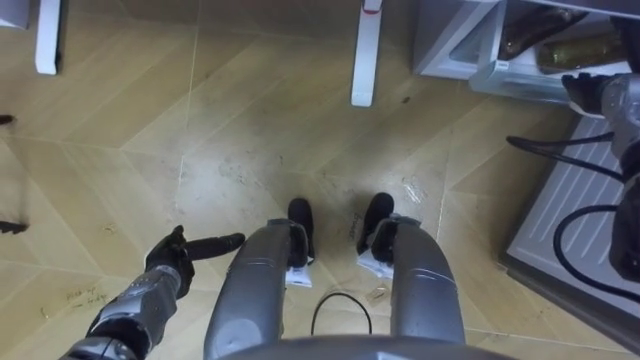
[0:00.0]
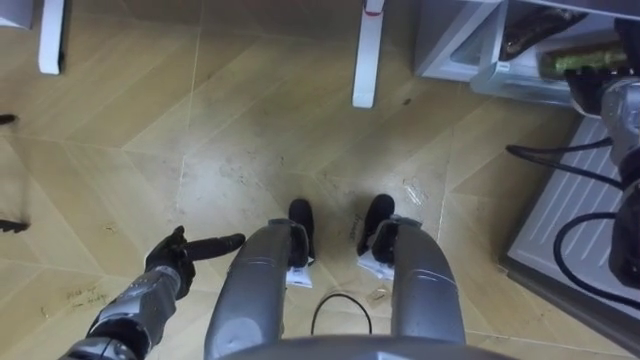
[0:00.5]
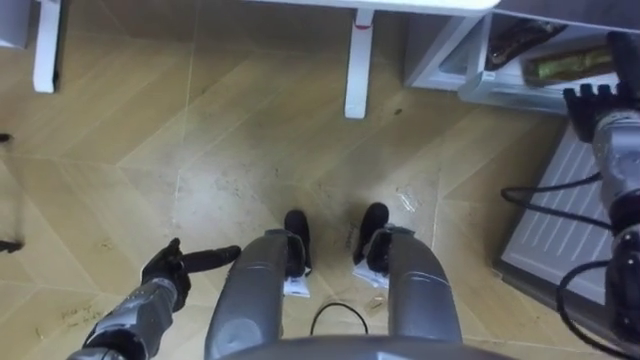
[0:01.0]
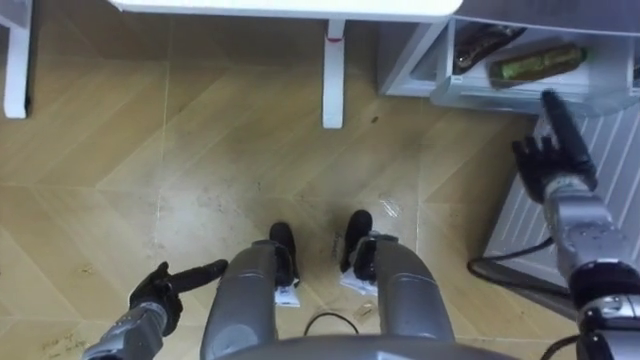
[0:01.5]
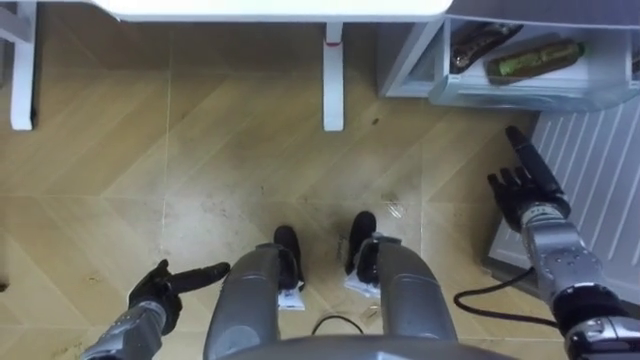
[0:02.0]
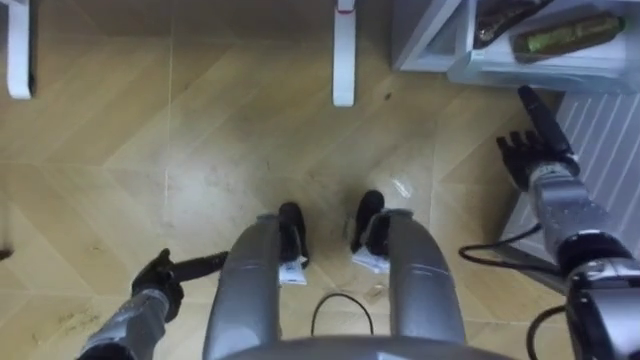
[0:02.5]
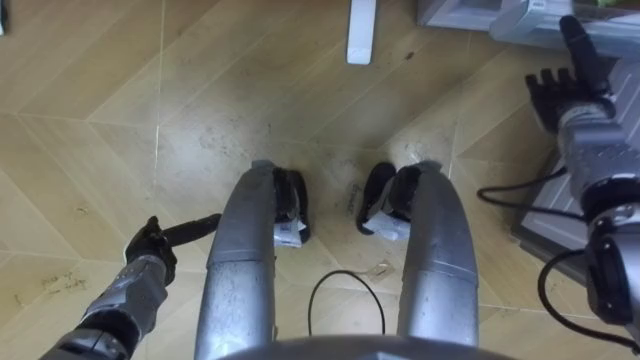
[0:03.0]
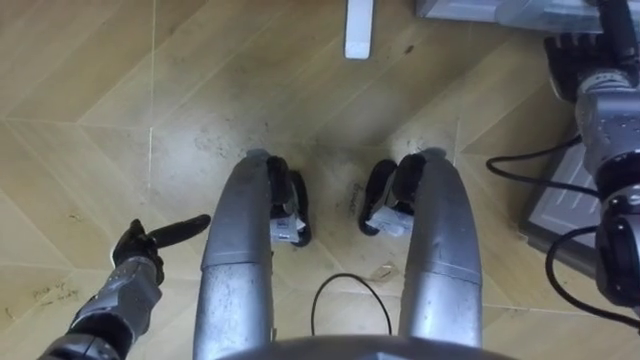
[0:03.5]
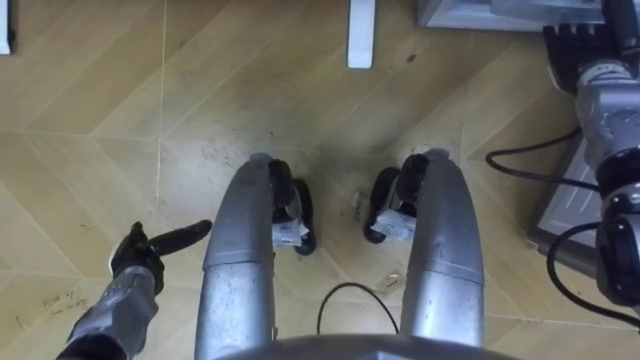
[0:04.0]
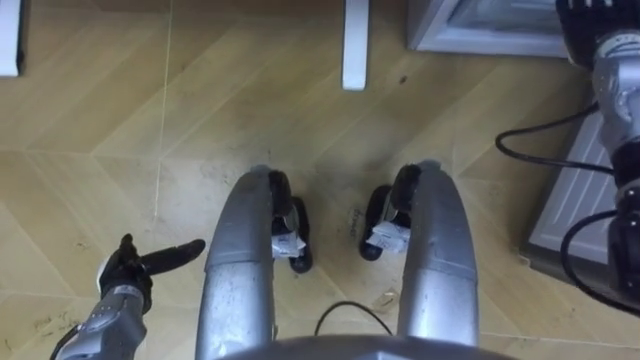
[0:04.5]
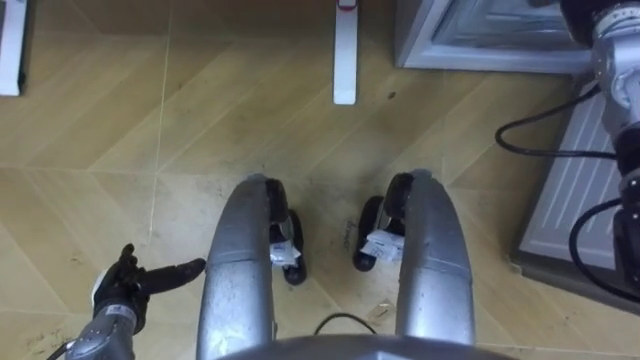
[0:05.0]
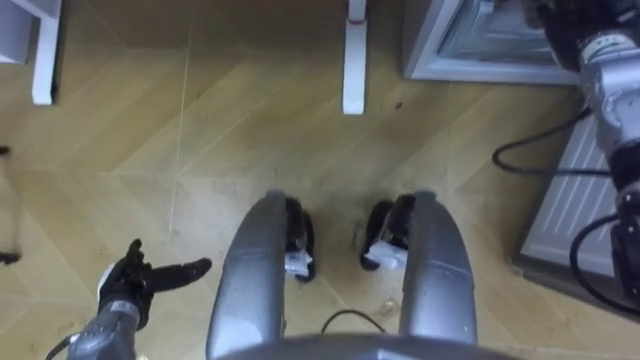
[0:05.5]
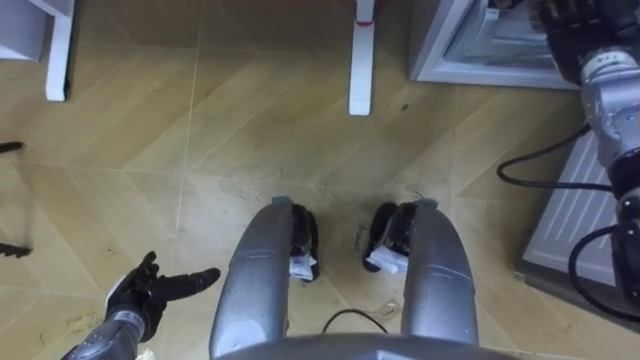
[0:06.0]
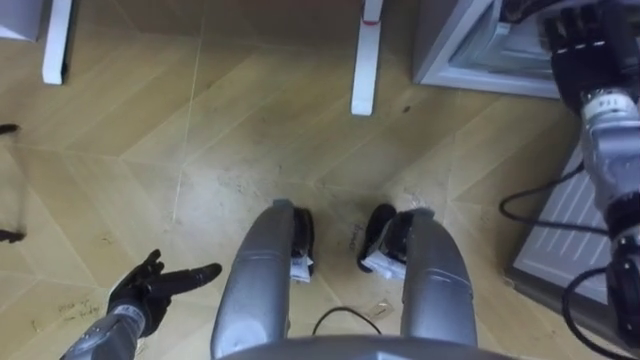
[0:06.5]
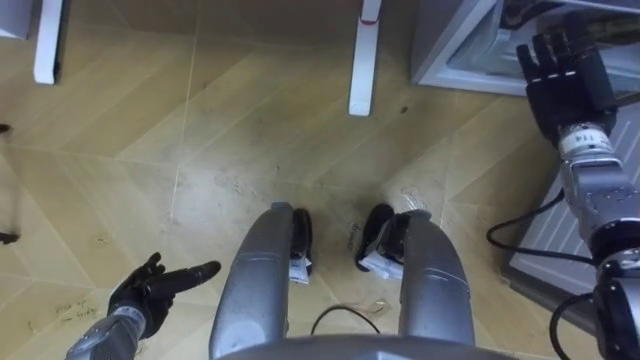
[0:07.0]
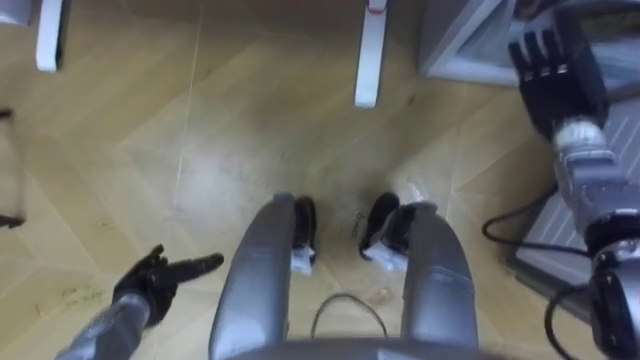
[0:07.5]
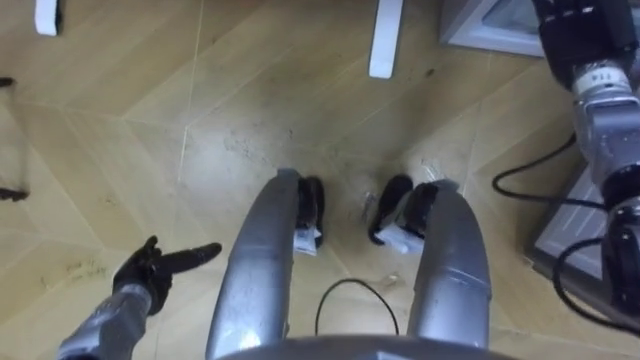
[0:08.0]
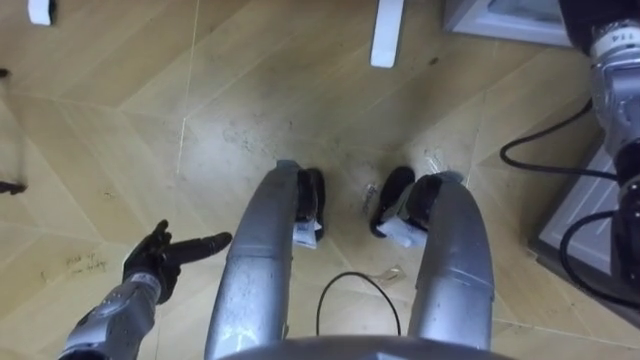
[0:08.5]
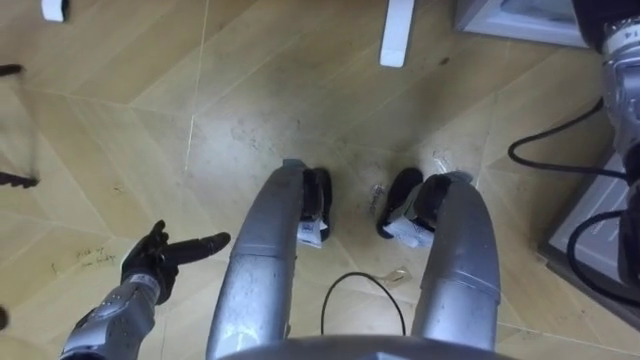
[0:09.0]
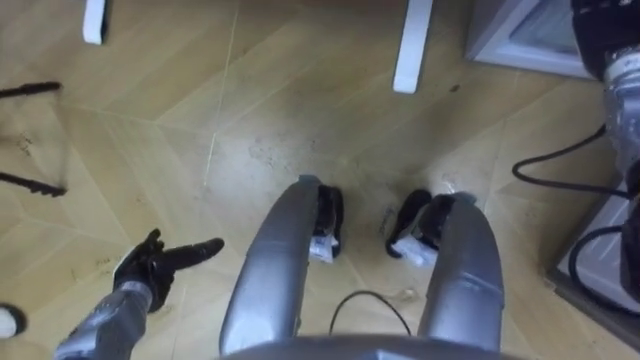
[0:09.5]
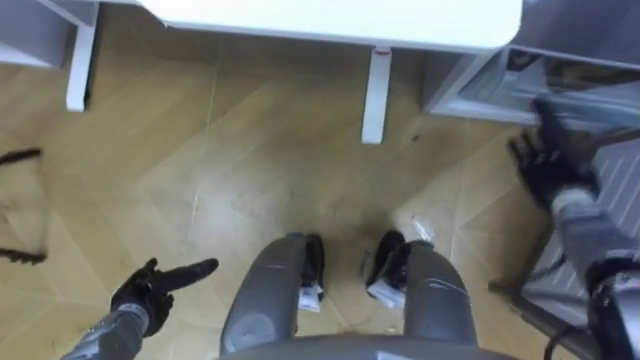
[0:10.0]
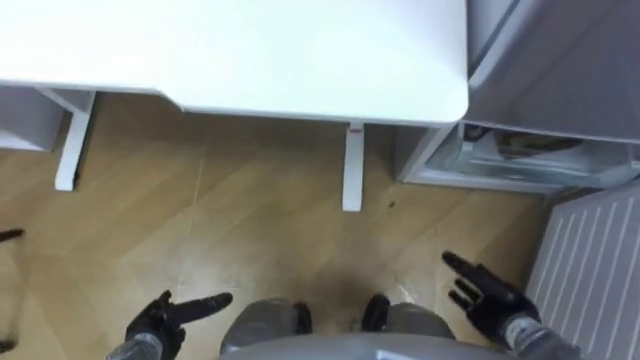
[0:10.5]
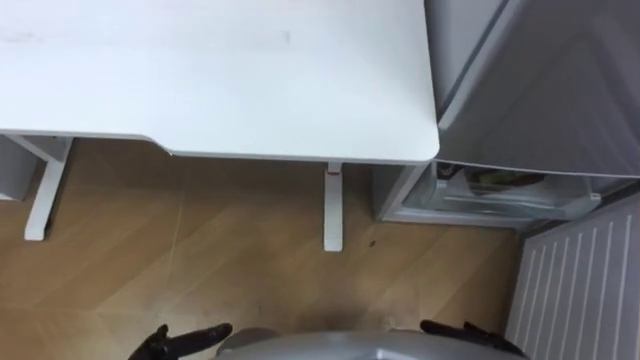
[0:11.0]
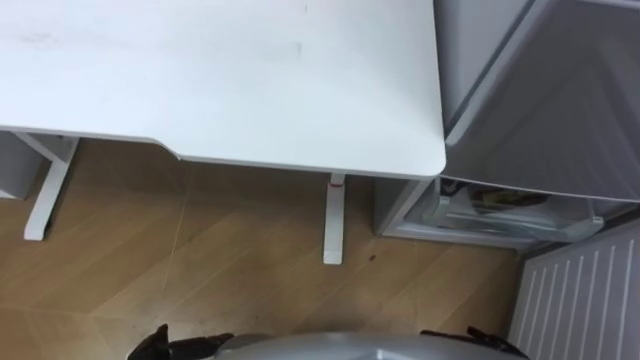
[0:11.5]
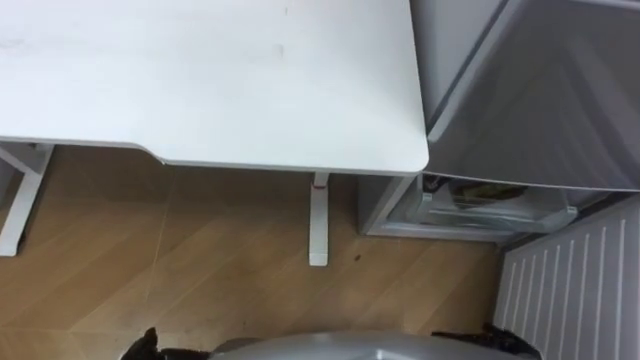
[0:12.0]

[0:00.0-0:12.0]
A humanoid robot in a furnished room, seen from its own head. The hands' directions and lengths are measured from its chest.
Task of the whole recording: Place the drink on the table on the bottom shelf of the refrigerator, then close the drawer and the refrigerator door.
0:00.0 to 0:02.0: The left hand is displaced backward by approximately 5 cm. The right hand heads downward, backward and to the left, covering approximately 20 cm.
0:02.0 to 0:04.0: The left hand changes place by some 5 cm. Meanwhile the right hand moves upward and forward, about 20 cm.
0:04.0 to 0:06.0: The left hand moves backward, about 5 cm.

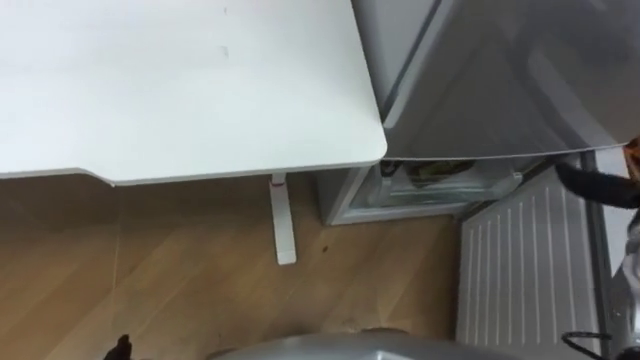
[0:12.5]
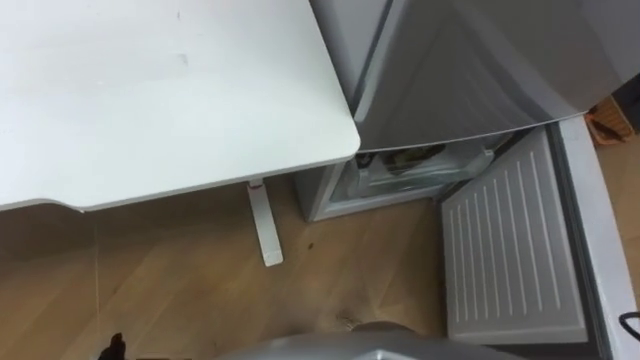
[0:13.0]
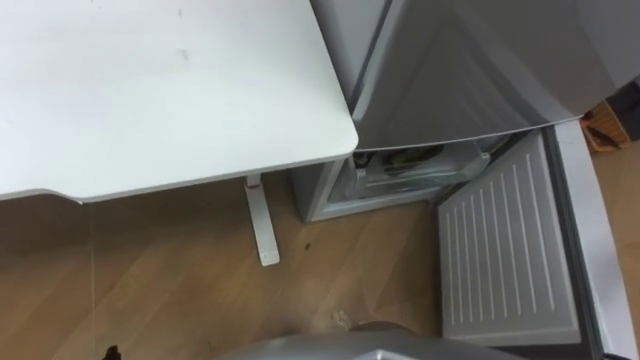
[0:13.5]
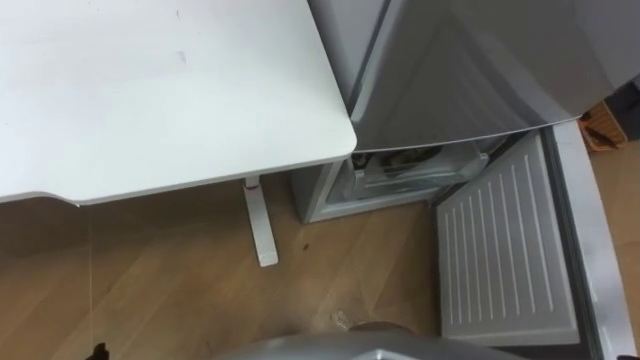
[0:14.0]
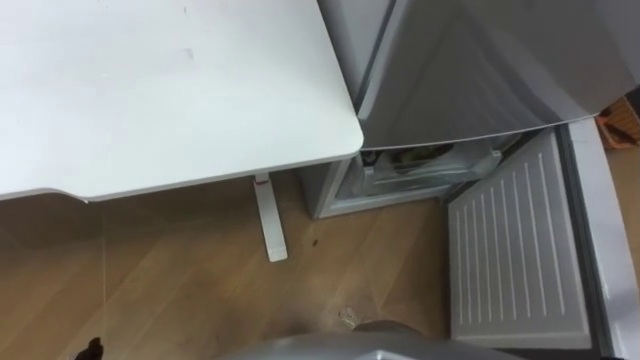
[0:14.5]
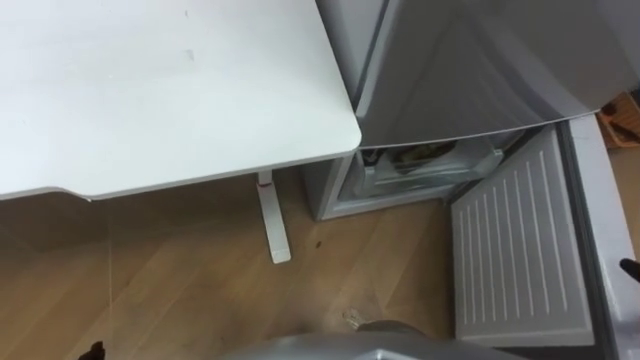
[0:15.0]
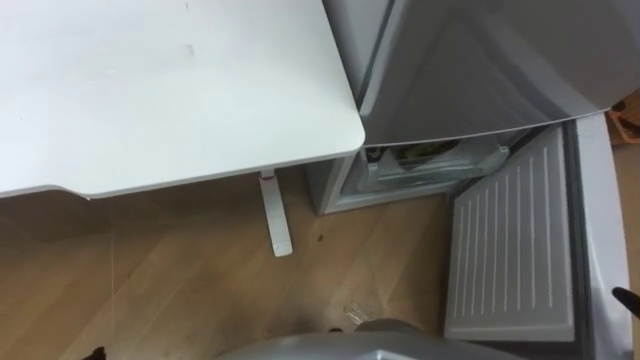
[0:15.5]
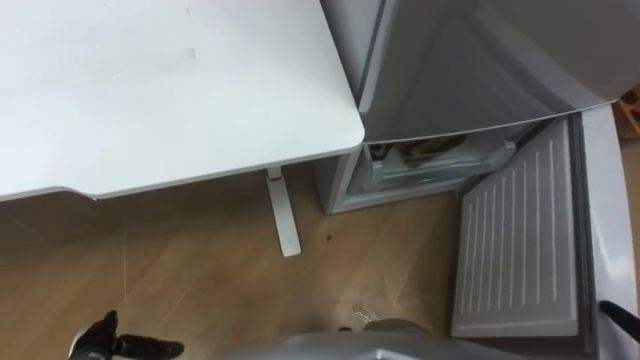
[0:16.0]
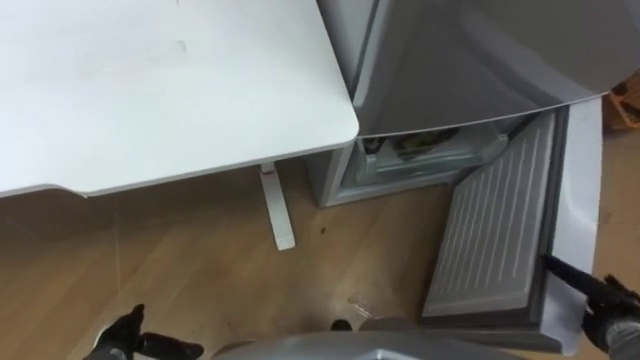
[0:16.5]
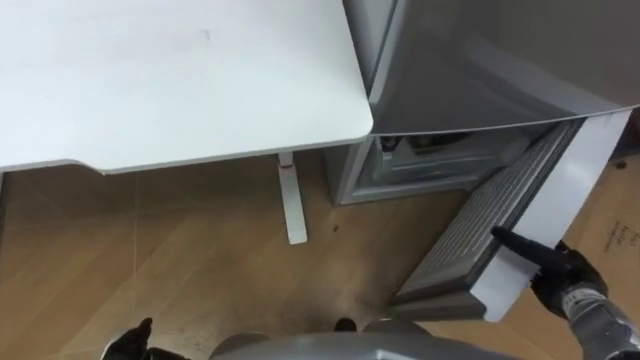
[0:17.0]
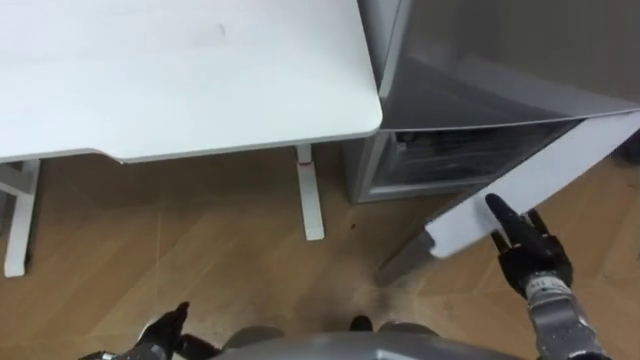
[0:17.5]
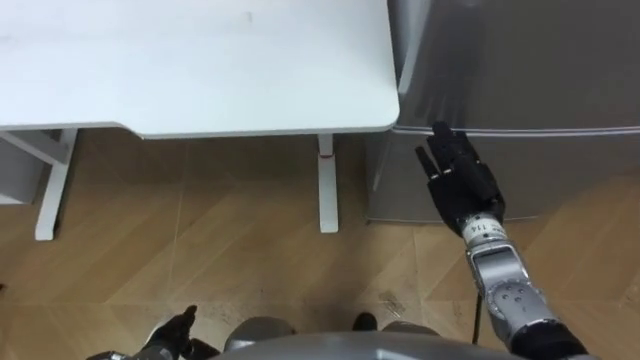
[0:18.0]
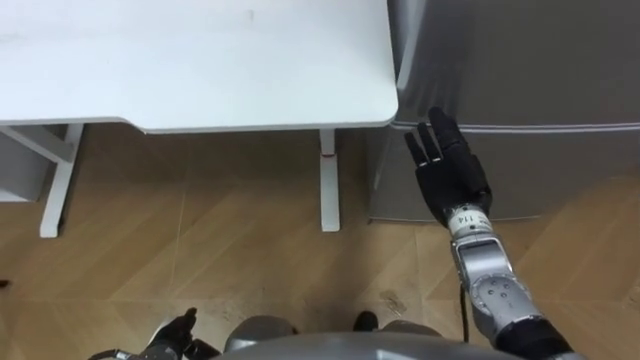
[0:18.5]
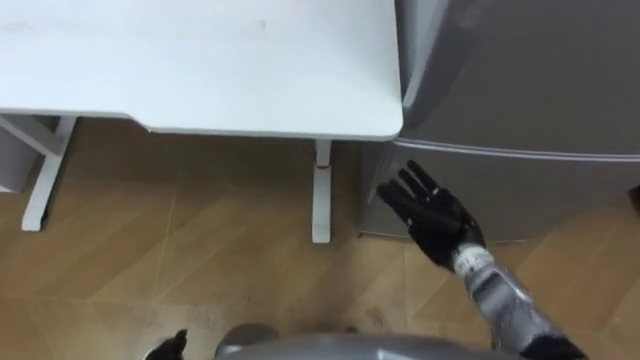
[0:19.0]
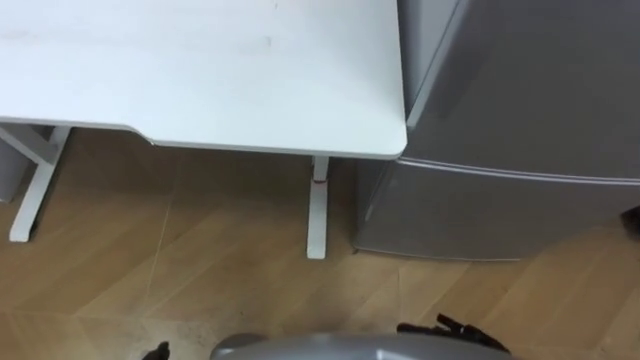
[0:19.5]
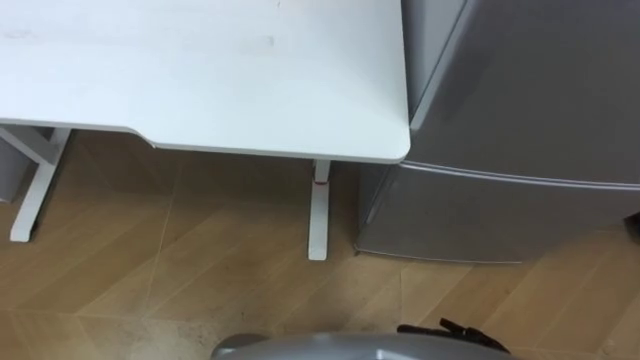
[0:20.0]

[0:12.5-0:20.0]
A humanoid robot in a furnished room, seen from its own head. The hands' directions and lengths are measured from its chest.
Task of the whole recording: Place the drink on the table on the bottom shelf of the refrigerator, then close the drawer and the refrigerator door.
0:16.5 to 0:18.0: The right hand goes approximately 25 cm to the left and forward.
